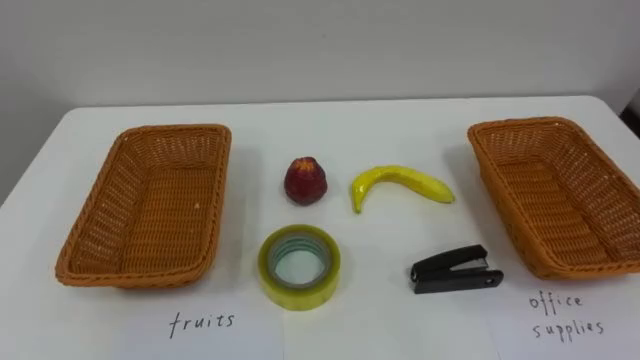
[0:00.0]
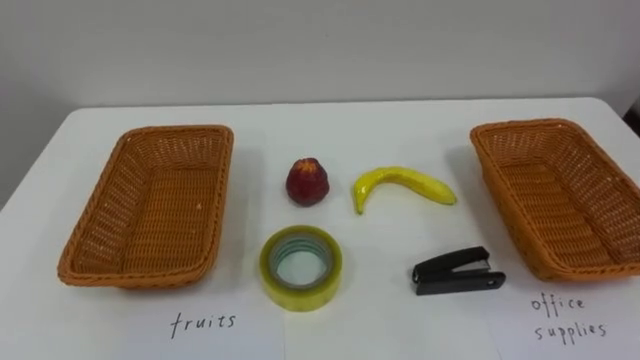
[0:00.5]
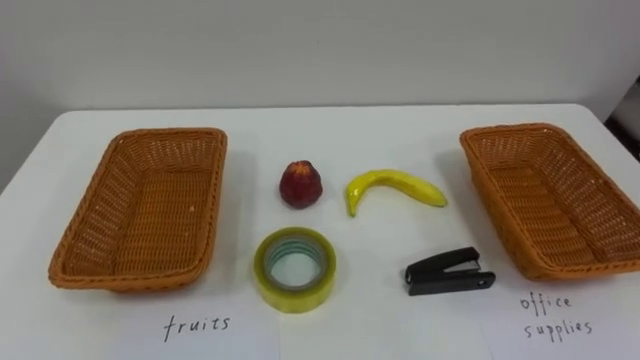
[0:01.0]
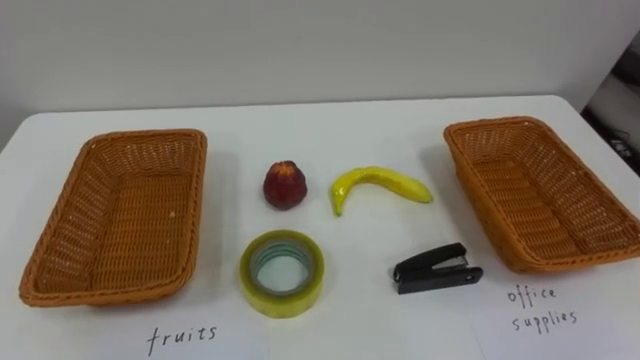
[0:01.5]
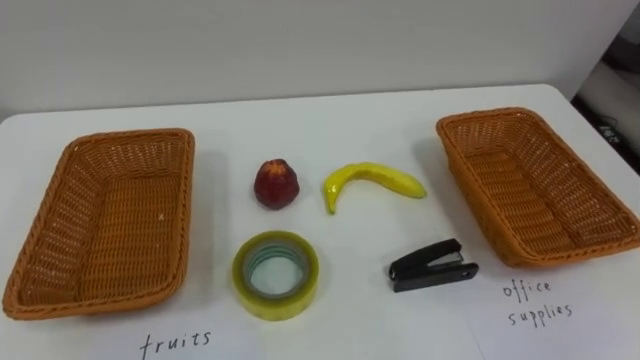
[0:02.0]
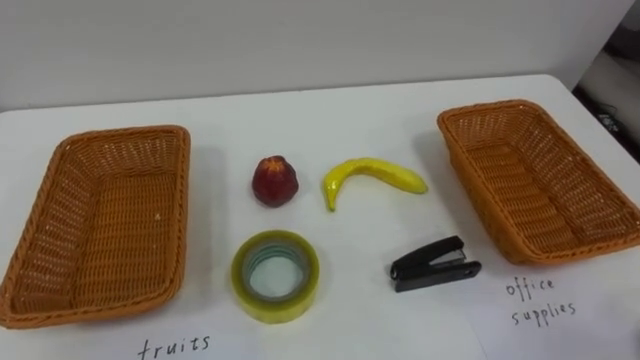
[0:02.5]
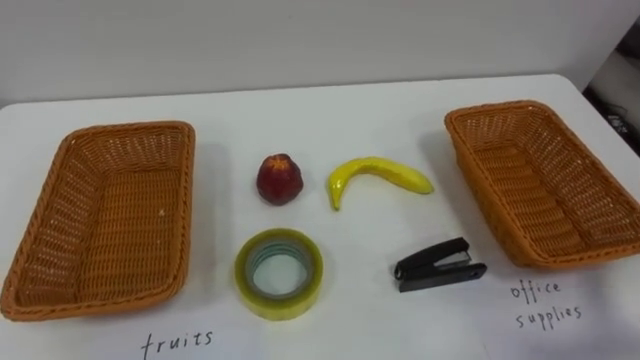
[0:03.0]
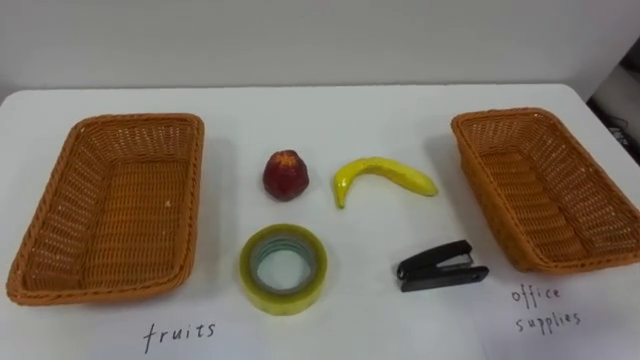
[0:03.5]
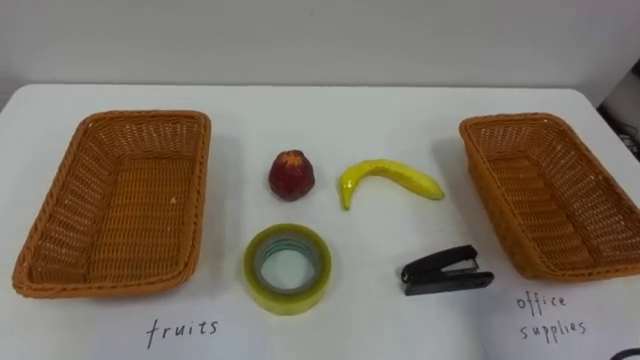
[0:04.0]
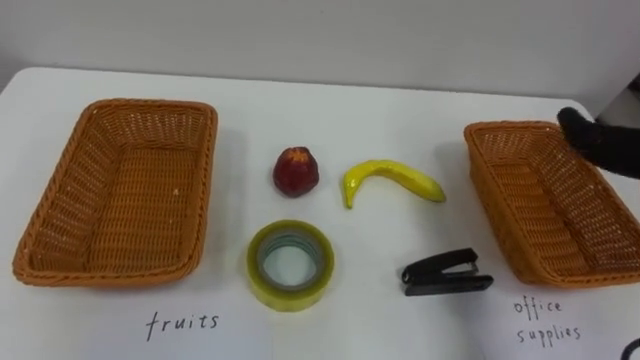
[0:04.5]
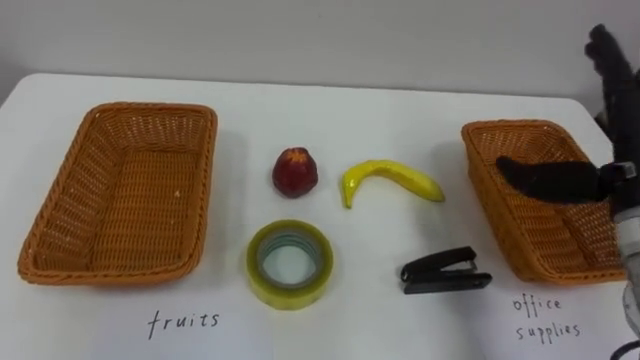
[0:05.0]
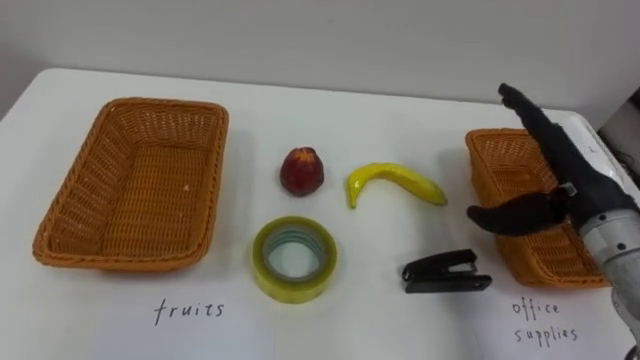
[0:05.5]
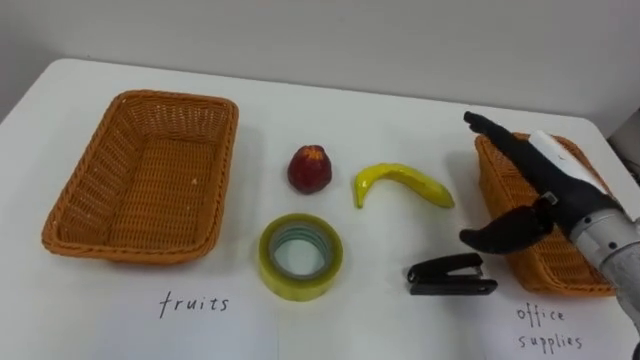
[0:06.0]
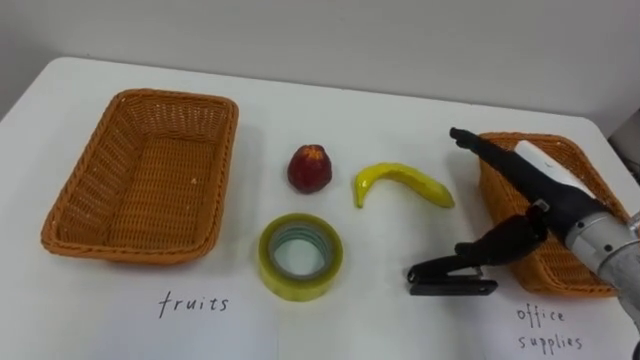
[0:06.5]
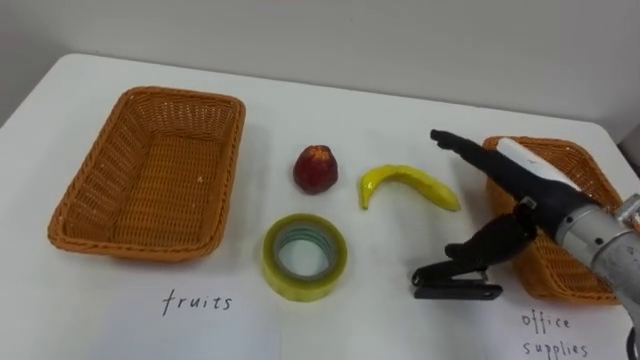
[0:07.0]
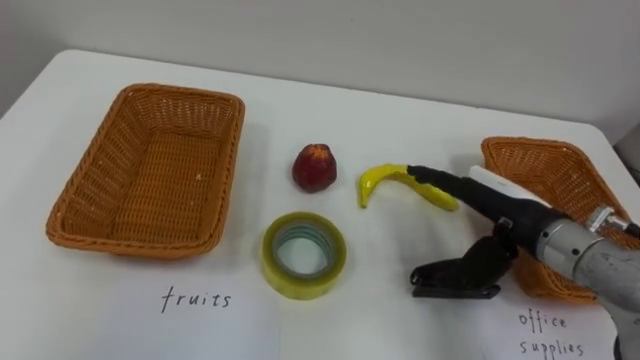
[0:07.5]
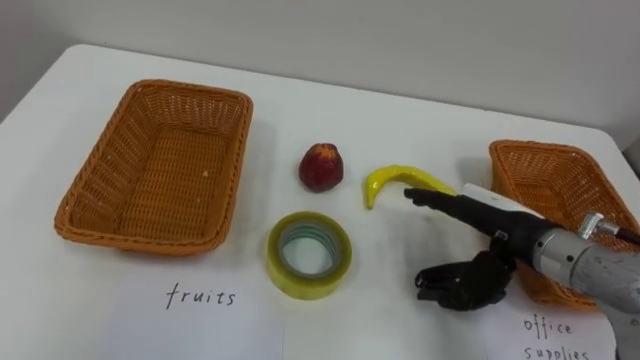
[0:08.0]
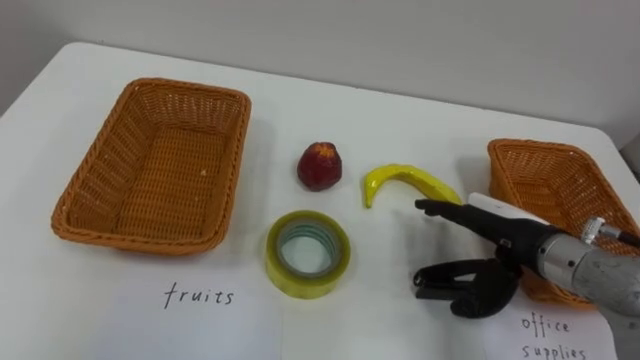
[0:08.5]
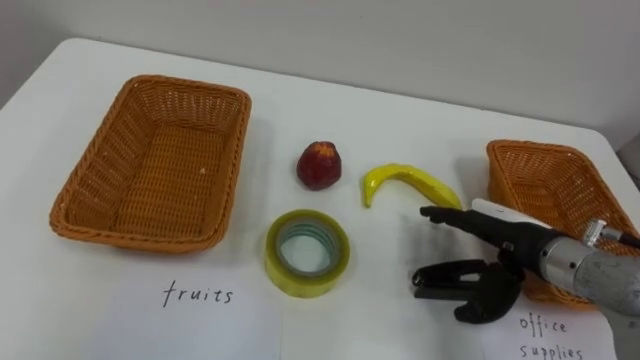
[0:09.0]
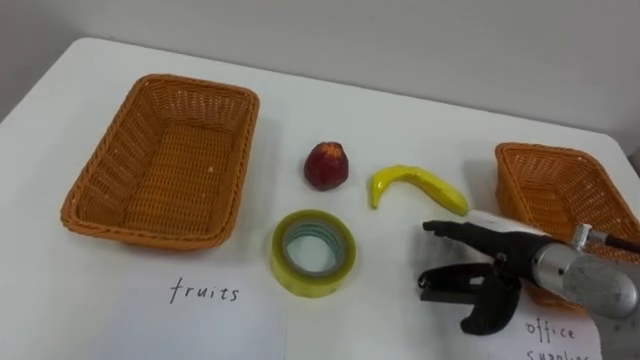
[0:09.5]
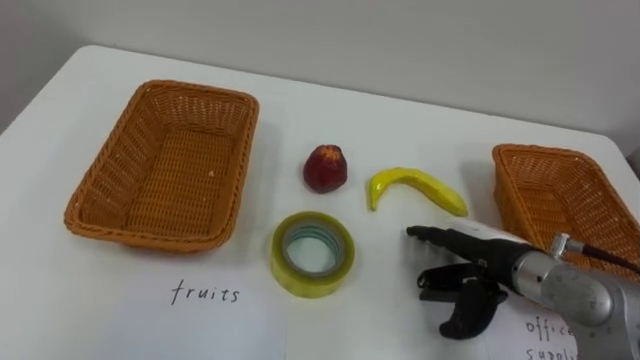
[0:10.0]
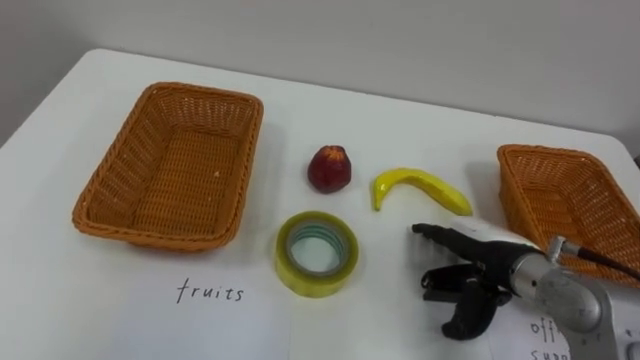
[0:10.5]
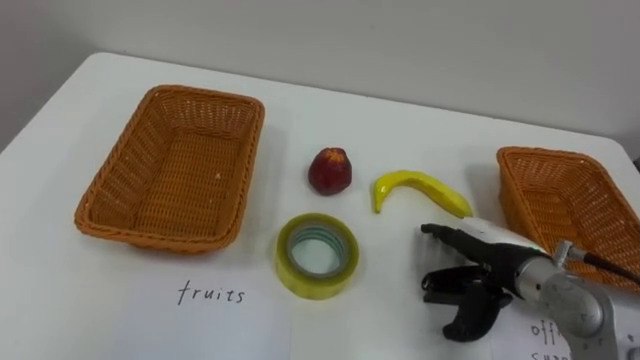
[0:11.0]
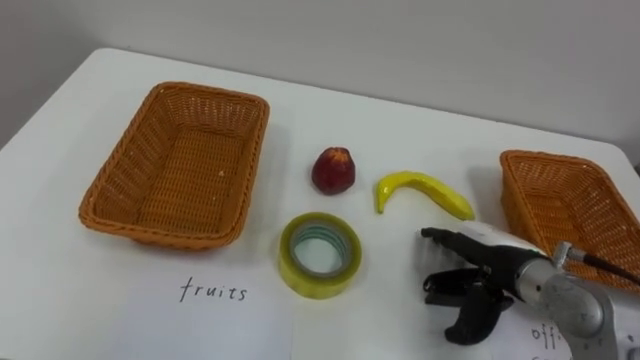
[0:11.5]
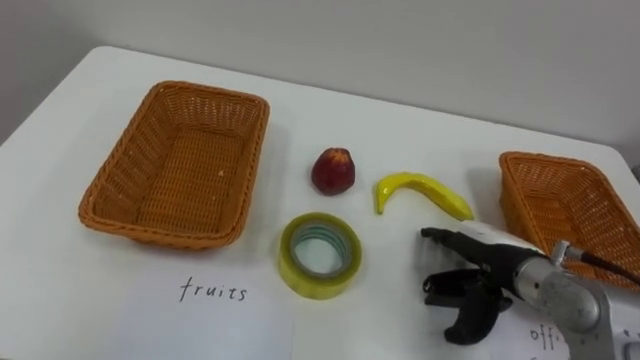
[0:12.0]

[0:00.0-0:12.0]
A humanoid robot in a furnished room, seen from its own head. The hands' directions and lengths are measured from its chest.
Task of the whole recording: Separate the items on the table and place them into the two baskets.
0:06.0 to 0:08.0: The right hand shifts by some 5 cm.

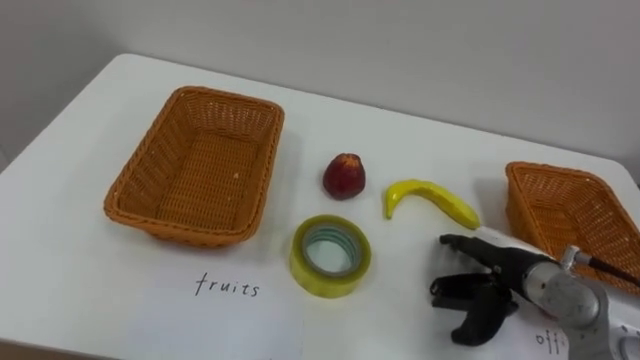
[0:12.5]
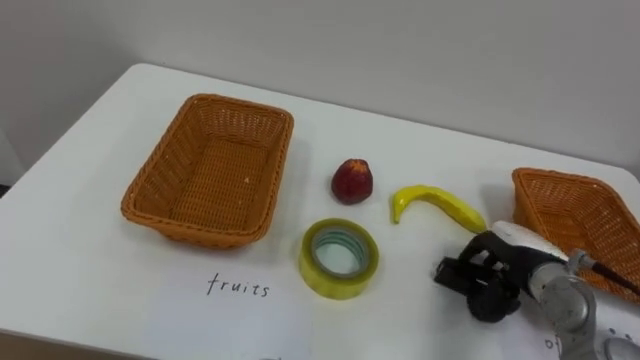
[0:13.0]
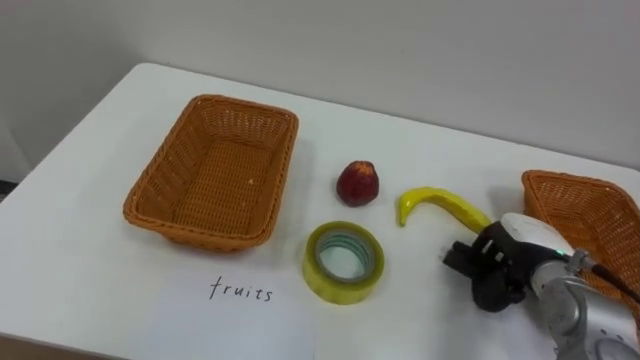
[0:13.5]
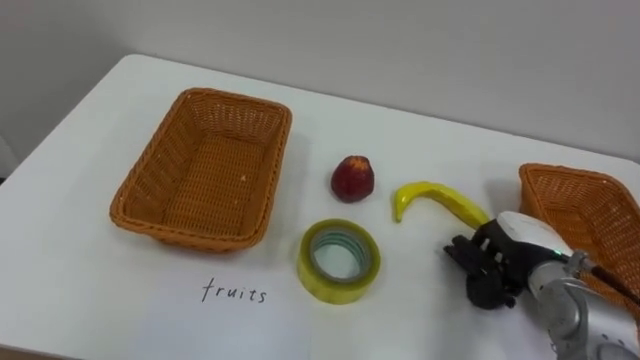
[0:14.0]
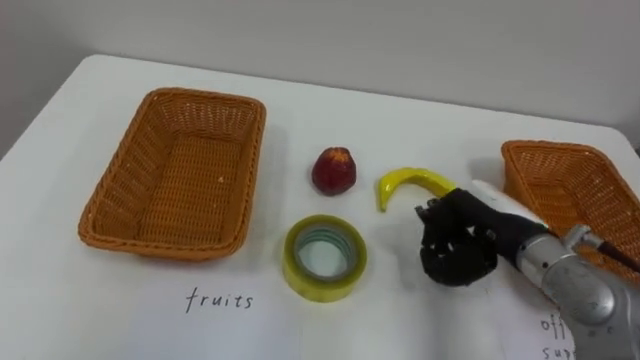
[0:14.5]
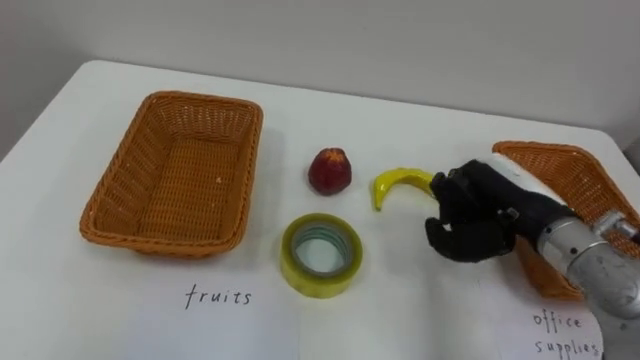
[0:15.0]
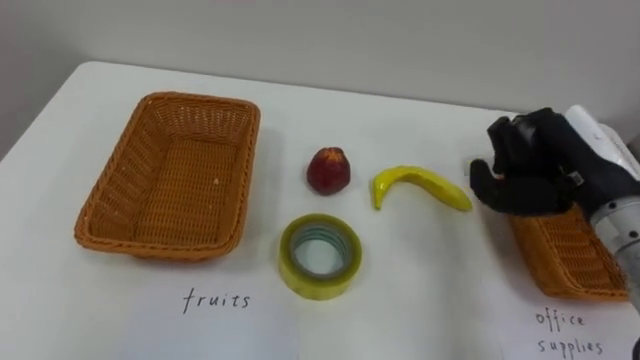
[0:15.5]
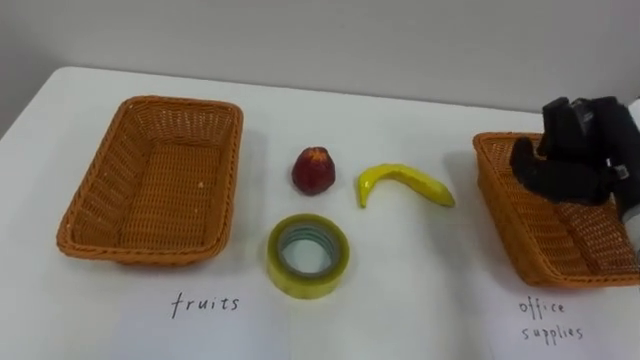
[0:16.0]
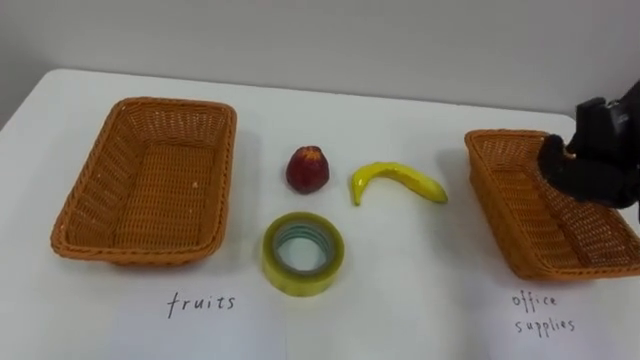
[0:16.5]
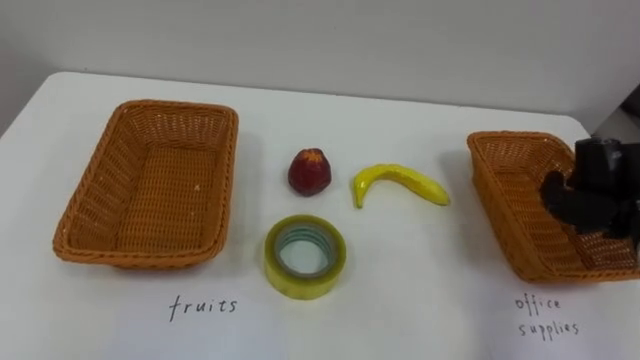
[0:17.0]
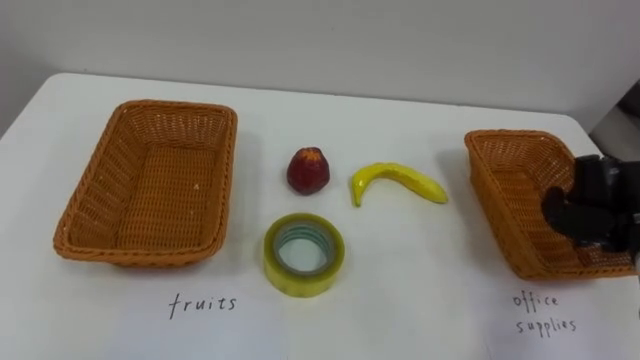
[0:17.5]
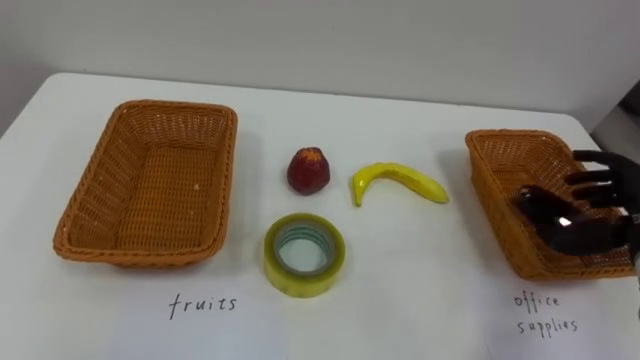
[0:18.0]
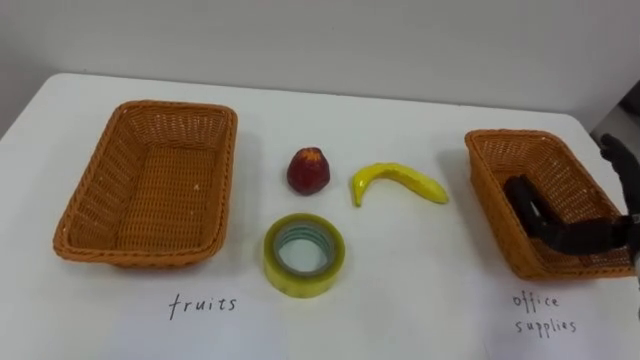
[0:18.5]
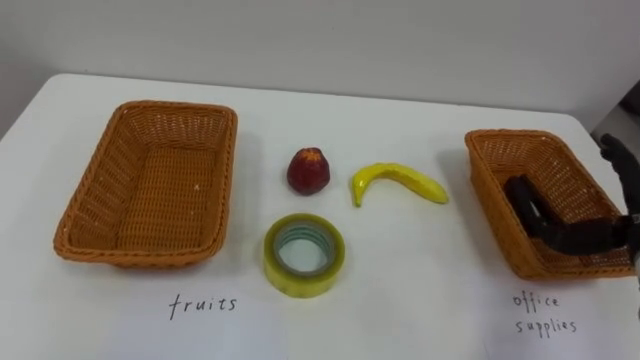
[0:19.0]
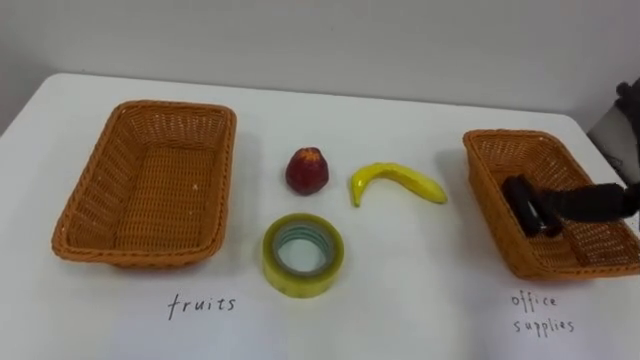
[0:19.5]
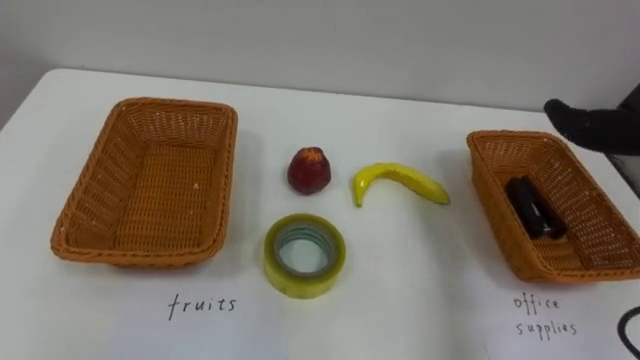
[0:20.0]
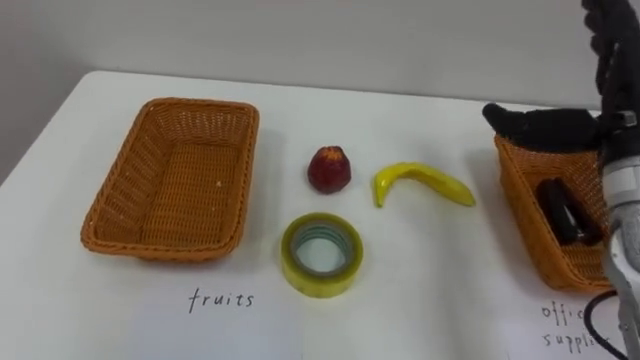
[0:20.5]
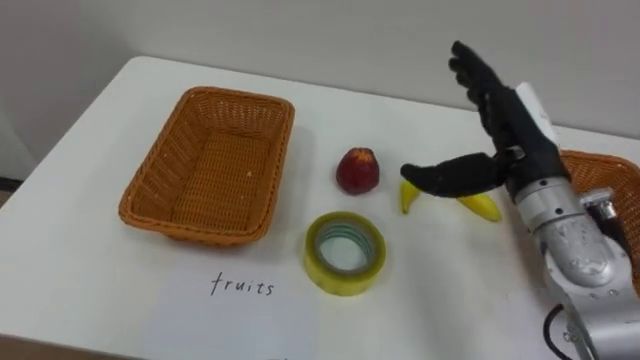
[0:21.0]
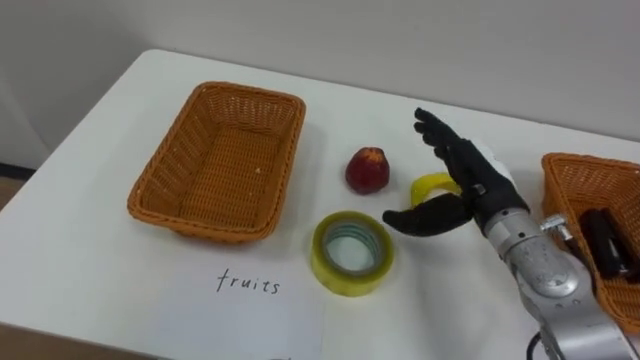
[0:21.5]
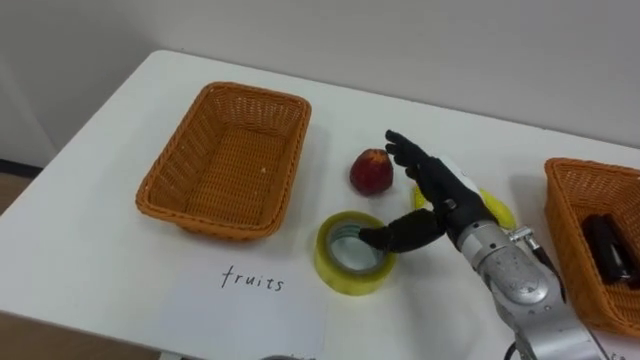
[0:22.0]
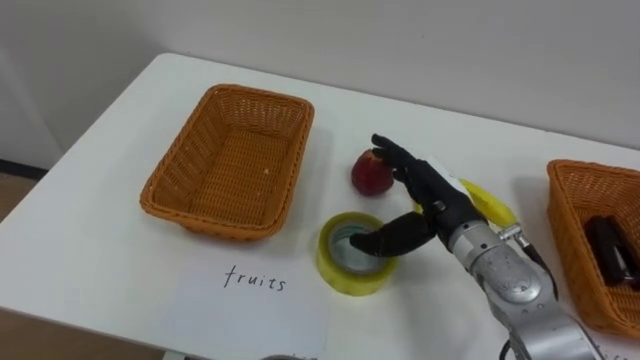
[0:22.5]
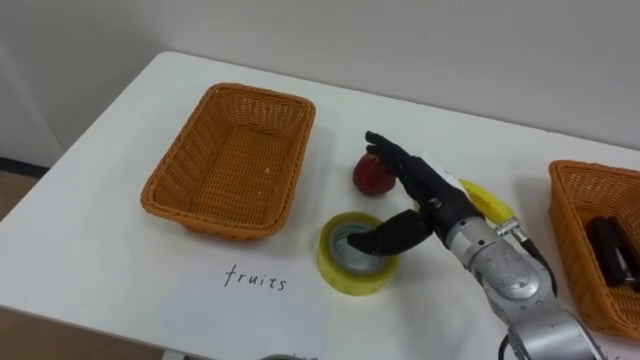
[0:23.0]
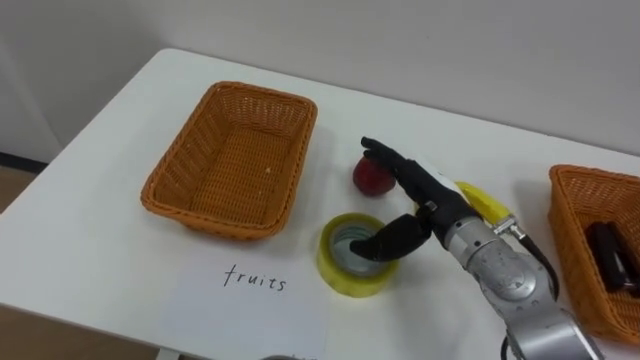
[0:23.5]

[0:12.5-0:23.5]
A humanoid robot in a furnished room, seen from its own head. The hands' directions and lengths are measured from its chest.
Task of the whole recording: Separate the items on the table and place them into the two baskets.
0:12.5 to 0:14.5: The right hand is displaced upward by approximately 5 cm, and closes up.
0:14.5 to 0:16.0: The right hand goes roughly 15 cm to the right and upward.
0:21.5 to 0:23.5: The right hand travels to the left by approximately 5 cm.
